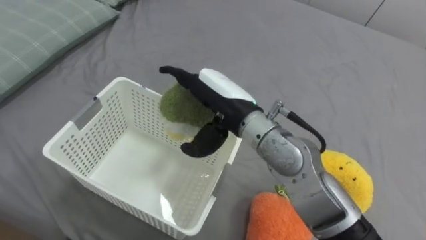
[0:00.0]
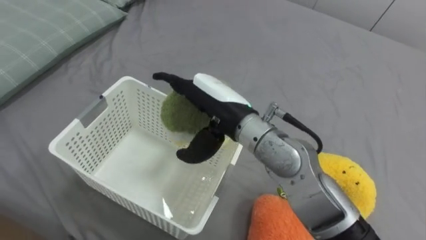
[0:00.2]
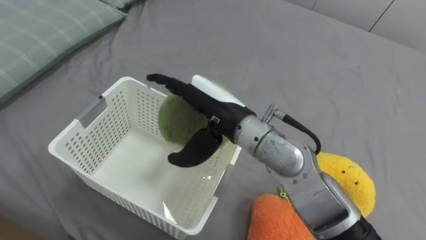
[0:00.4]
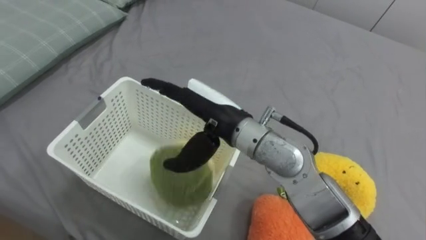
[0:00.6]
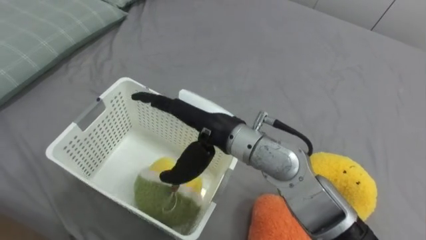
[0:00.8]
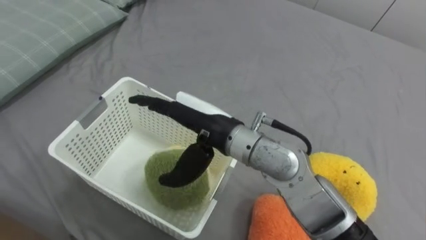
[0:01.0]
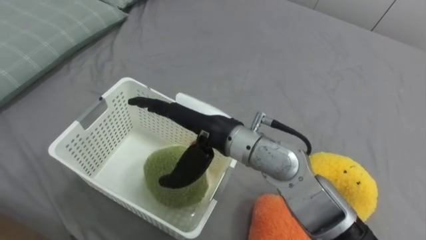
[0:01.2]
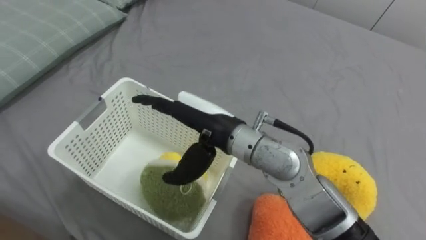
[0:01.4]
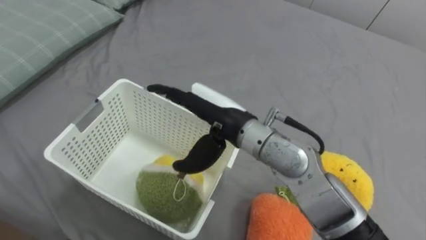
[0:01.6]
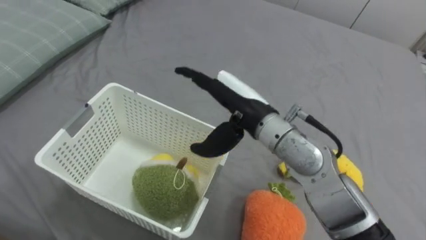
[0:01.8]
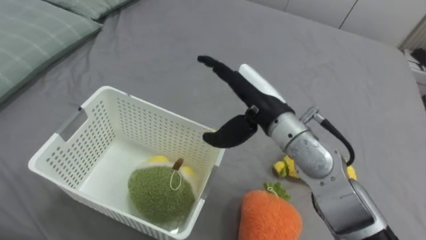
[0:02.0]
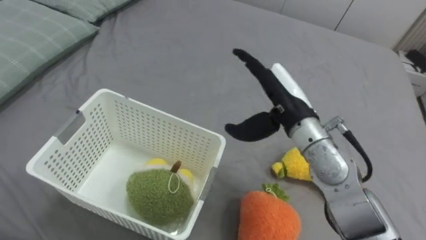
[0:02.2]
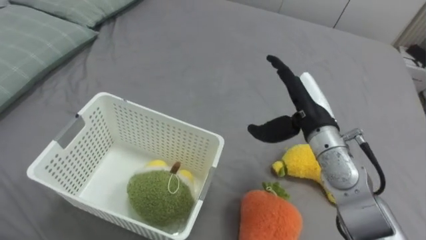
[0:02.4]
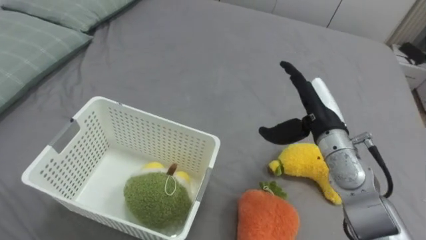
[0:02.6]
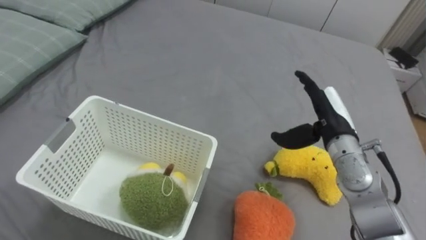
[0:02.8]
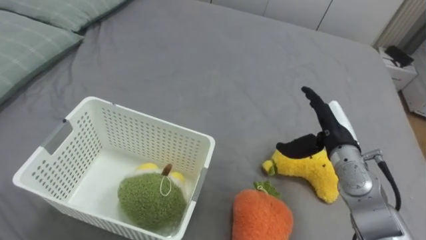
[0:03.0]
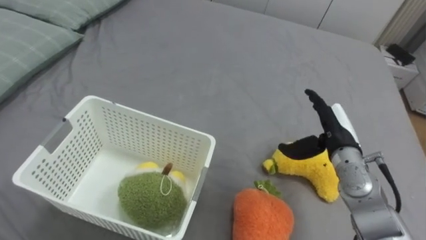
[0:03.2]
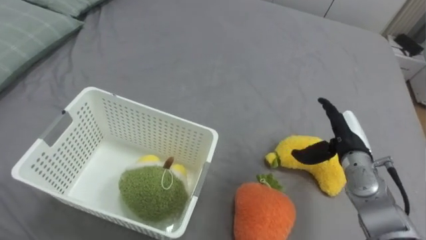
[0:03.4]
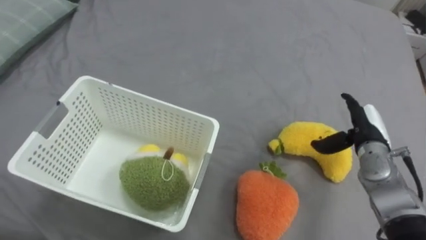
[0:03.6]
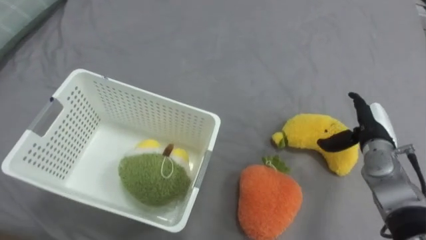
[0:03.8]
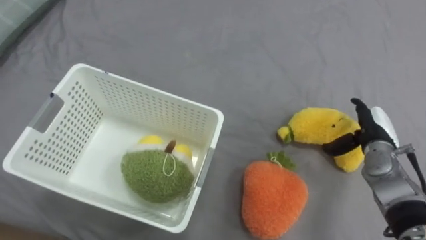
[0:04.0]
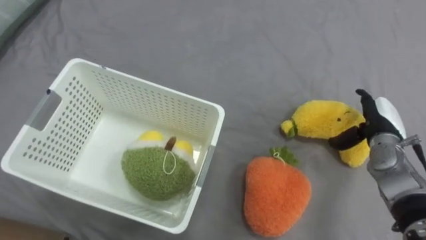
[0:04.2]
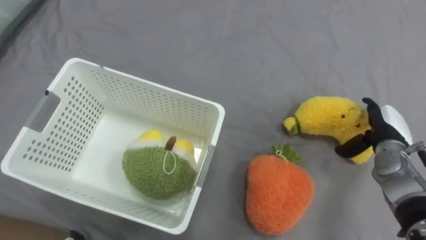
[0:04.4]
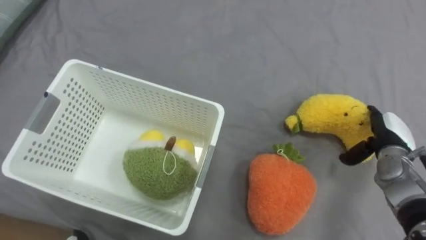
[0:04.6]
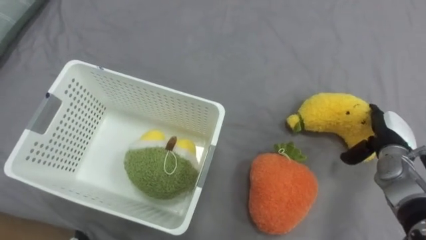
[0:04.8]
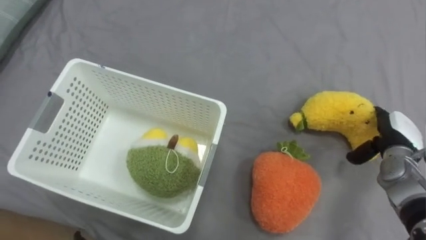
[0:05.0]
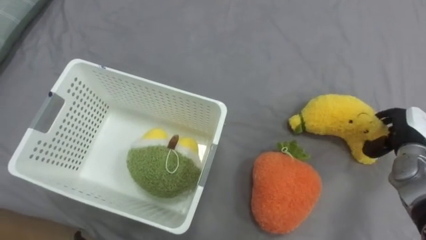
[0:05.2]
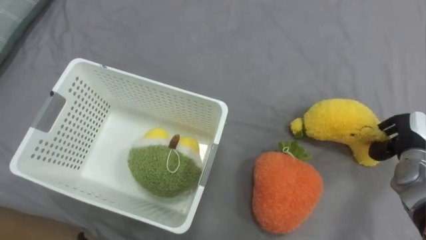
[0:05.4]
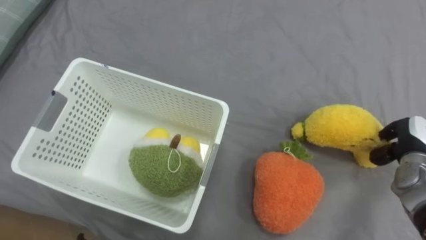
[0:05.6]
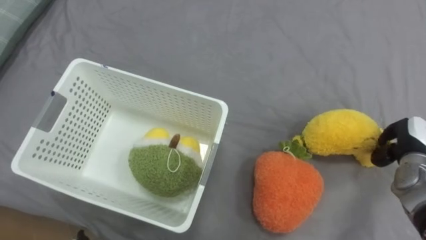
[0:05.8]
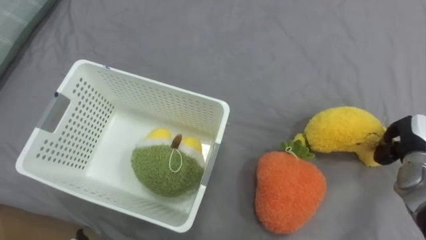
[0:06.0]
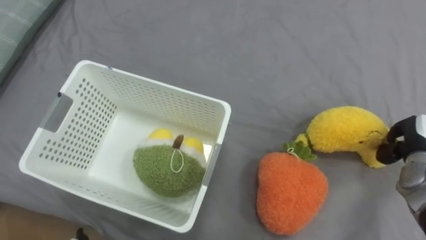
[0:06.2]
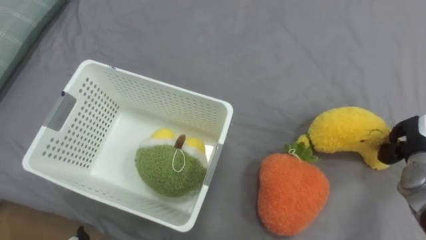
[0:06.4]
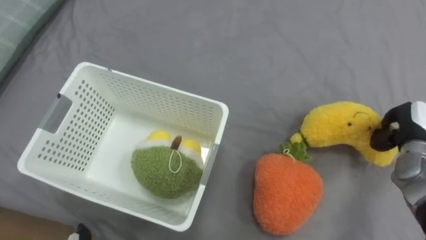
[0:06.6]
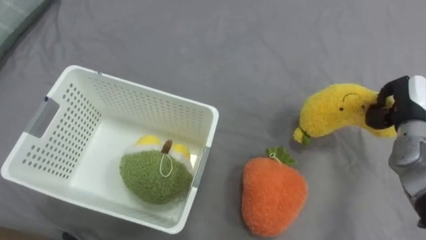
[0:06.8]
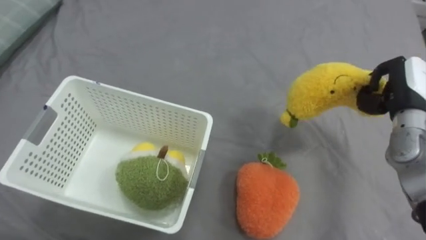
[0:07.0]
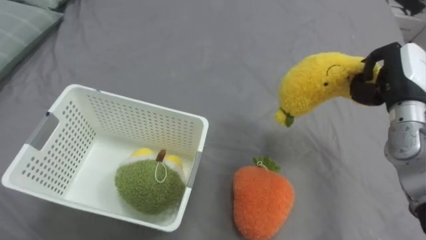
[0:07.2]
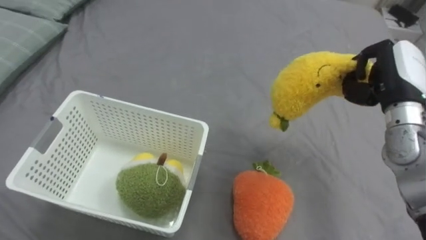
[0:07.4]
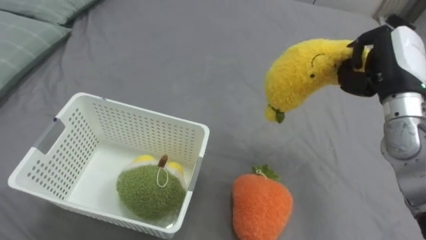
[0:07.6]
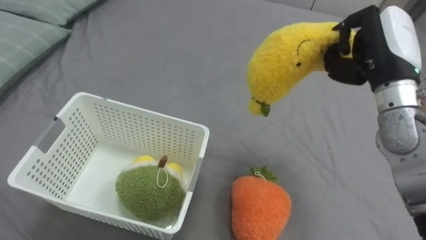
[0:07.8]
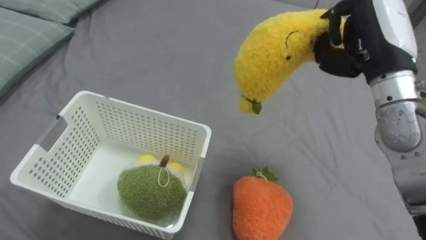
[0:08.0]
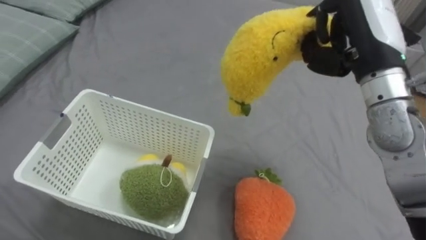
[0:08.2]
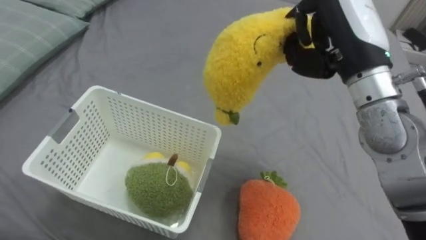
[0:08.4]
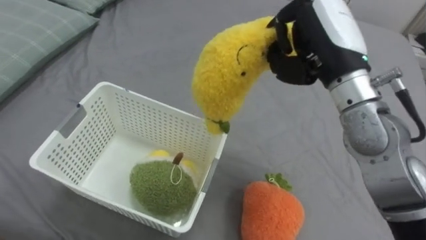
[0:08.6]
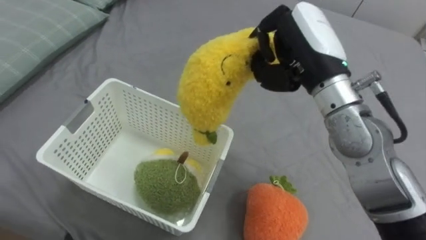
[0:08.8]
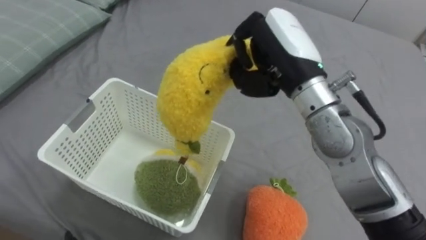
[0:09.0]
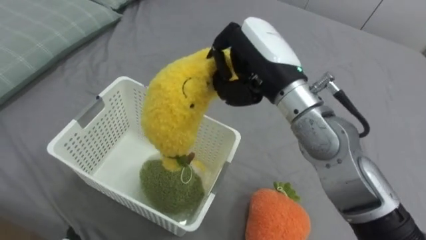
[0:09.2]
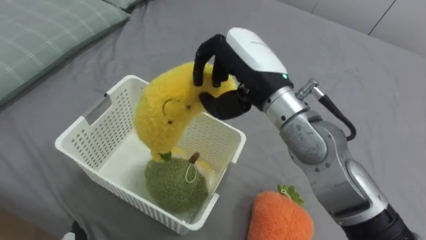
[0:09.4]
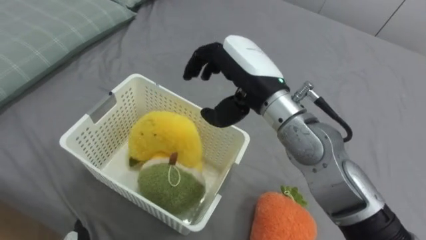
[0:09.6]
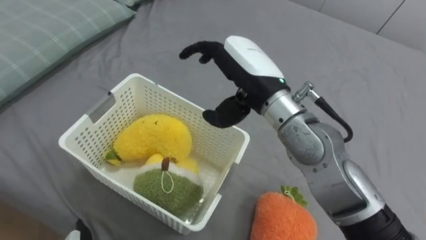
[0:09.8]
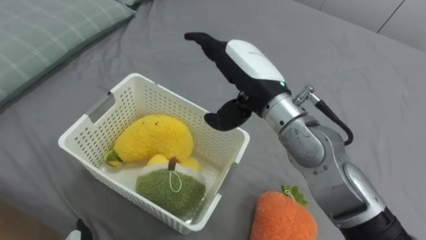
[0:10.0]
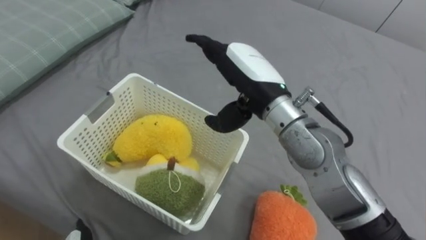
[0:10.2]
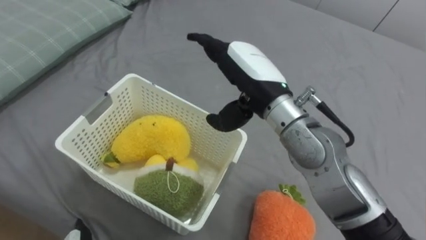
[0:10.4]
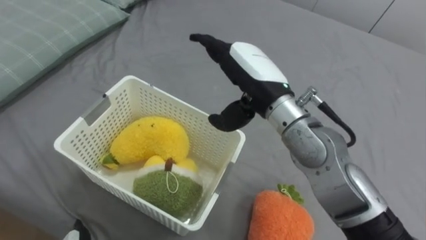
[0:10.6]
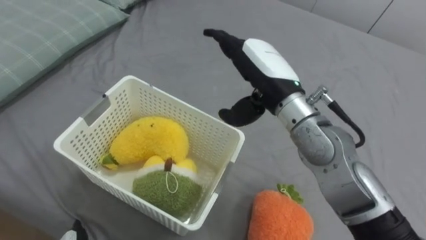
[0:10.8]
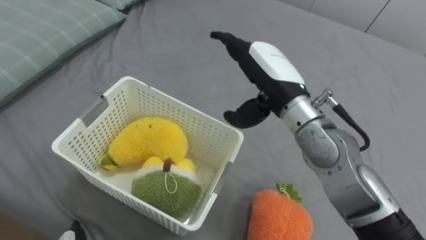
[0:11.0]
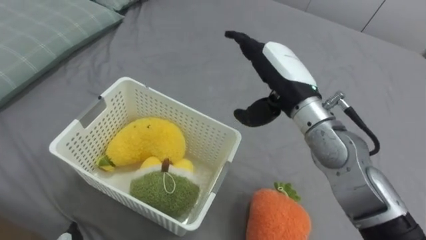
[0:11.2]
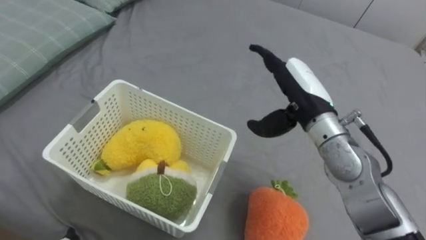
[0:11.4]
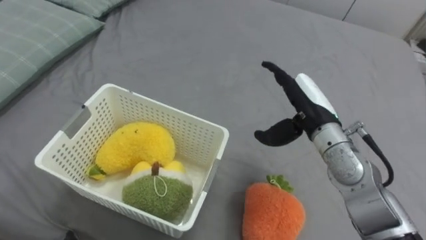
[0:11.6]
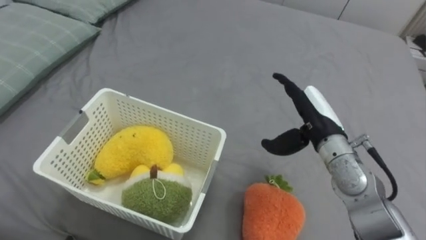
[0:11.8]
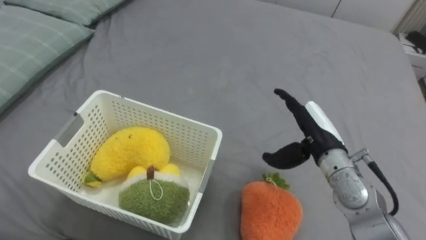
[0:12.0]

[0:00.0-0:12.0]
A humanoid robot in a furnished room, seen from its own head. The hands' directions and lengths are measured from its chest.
Task of the whole recording: Put the toys on the bed into the basket on the left.
0:01.6 to 0:03.0: The right hand heads to the right and downward, covering approximately 25 cm.
0:03.0 to 0:04.4: The right hand moves to the right, approximately 10 cm.
0:04.4 to 0:06.0: The right hand goes roughly 5 cm to the right, and closes up.
0:06.0 to 0:07.6: The right hand travels upward and to the left by roughly 20 cm.
0:07.6 to 0:09.0: The right hand goes approximately 20 cm to the left.
0:09.0 to 0:10.4: The right hand moves approximately 5 cm, and opens its fingers.
0:10.4 to 0:12.0: The right hand moves to the right and downward, roughly 20 cm.

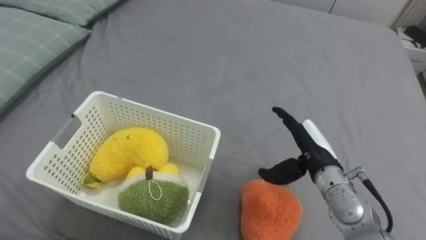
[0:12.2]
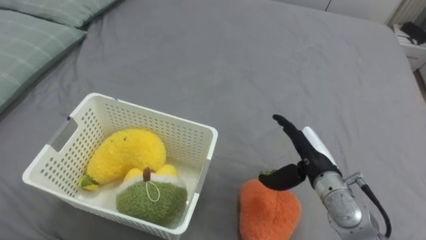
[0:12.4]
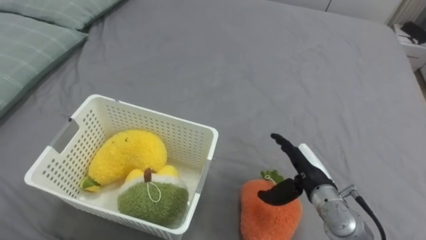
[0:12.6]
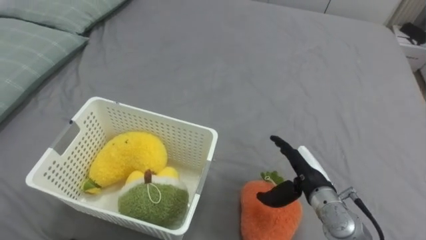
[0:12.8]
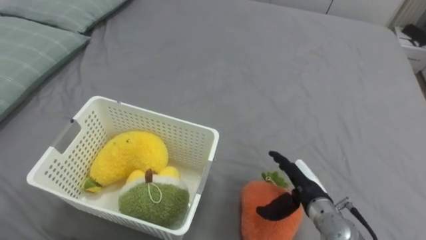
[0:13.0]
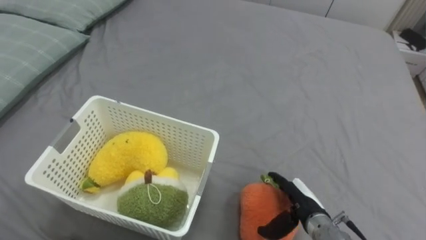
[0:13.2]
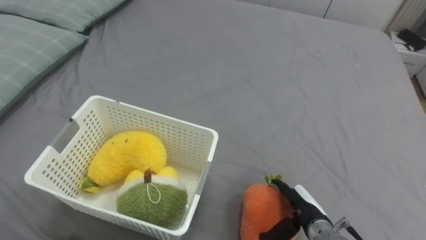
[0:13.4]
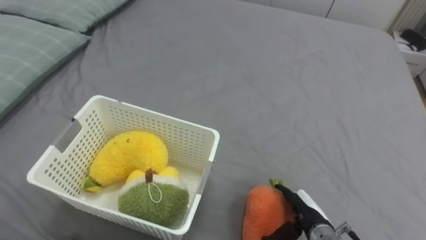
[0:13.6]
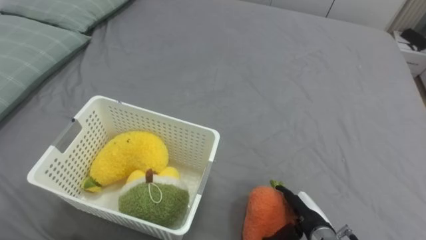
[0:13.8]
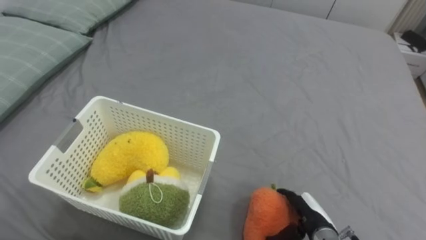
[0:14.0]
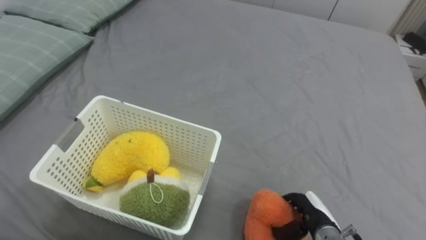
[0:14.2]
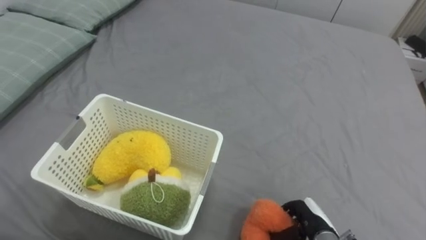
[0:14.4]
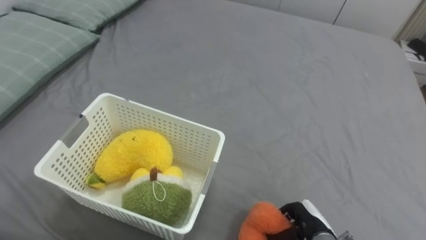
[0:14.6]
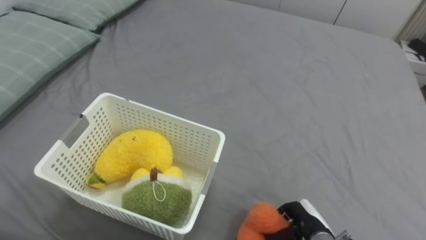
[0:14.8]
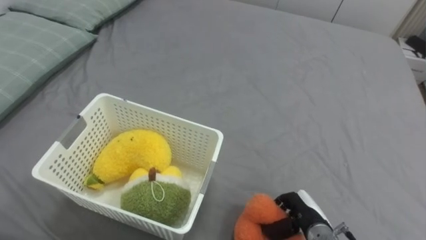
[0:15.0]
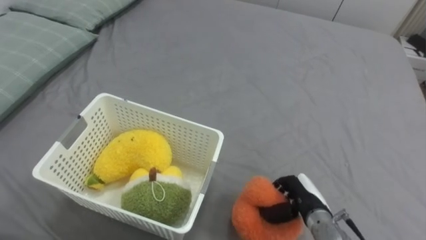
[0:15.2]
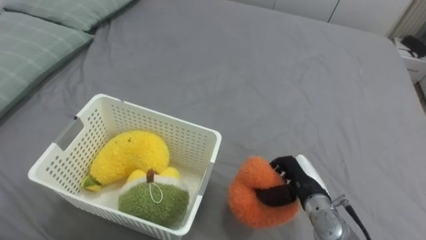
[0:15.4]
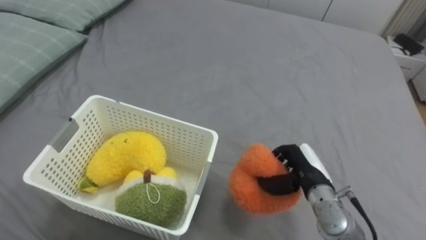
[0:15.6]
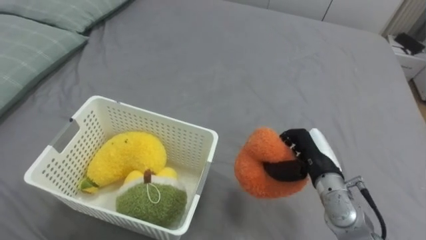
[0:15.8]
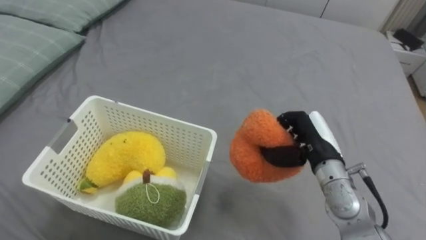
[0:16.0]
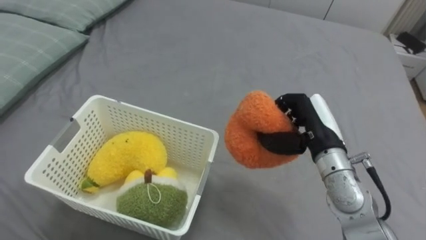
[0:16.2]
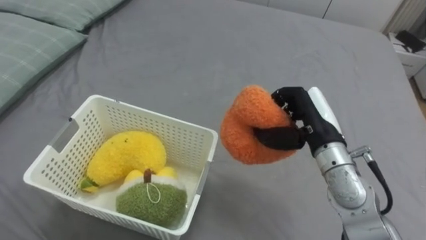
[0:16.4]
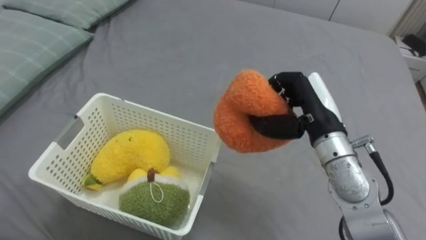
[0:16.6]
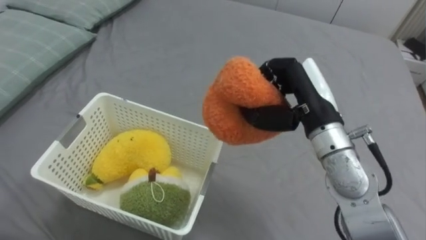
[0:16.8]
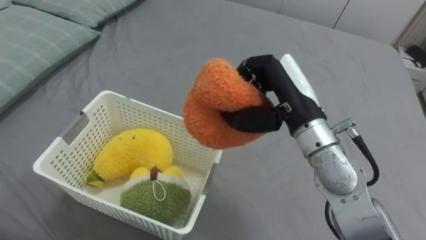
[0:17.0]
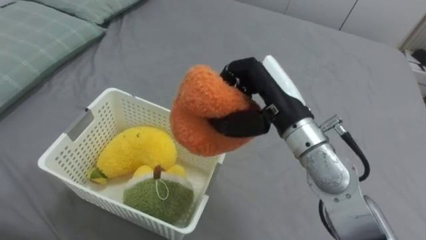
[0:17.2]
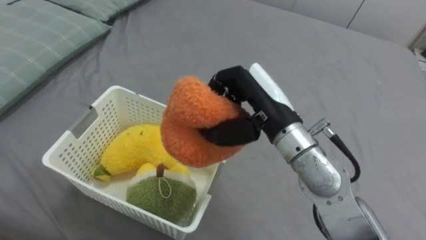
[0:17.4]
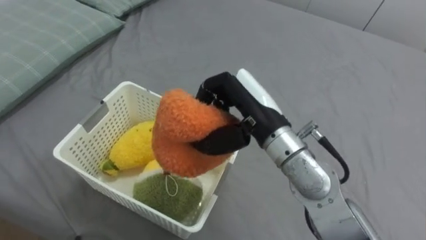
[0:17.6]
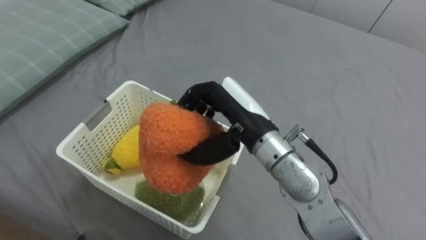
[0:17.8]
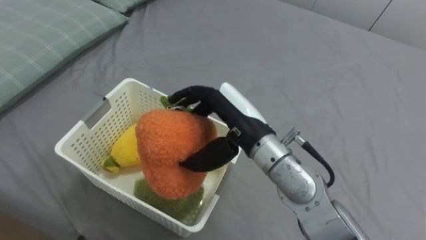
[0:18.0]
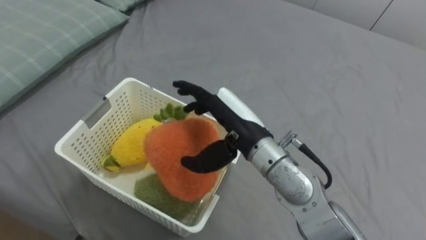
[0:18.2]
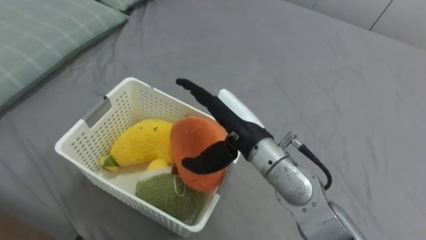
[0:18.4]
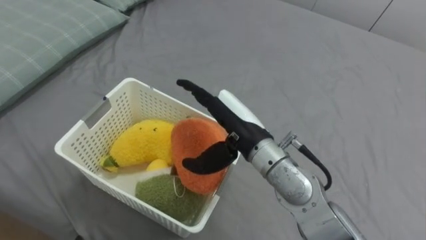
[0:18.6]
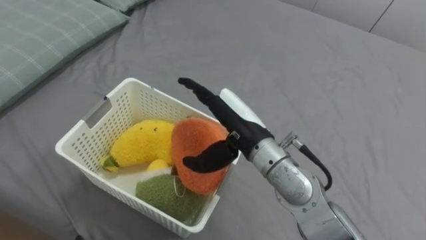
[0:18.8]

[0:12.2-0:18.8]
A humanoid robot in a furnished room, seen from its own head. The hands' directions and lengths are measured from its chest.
Task of the whole recording: Put the toys on the bed into the basket on the left.
0:12.2 to 0:13.8: The right hand travels downward and backward by about 15 cm.
0:13.8 to 0:15.4: The right hand heads upward and forward, covering some 10 cm, and closes.
0:15.4 to 0:17.2: The right hand moves upward, approximately 20 cm.
0:17.2 to 0:18.8: The right hand is displaced to the left by some 5 cm, and opens its fingers.
